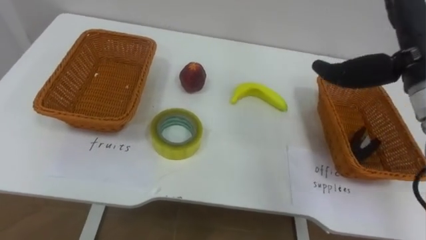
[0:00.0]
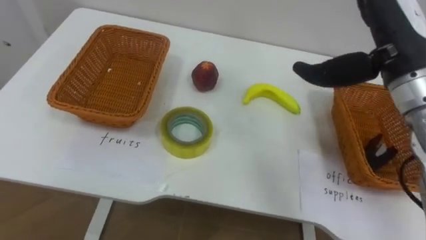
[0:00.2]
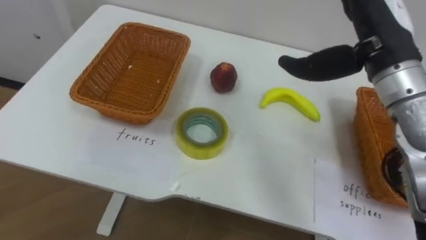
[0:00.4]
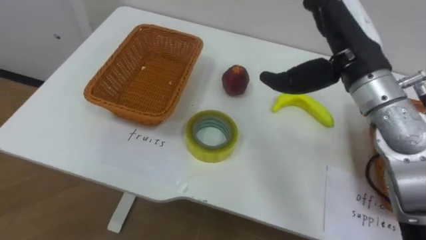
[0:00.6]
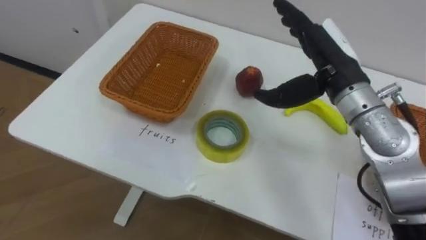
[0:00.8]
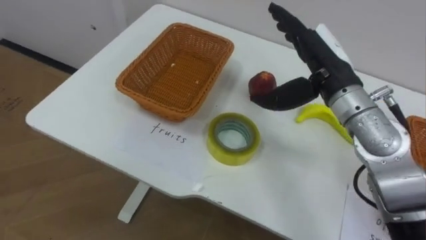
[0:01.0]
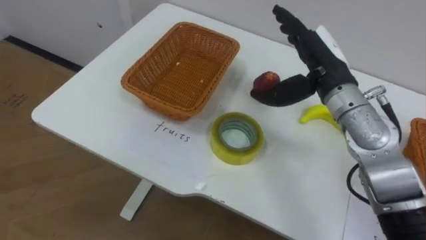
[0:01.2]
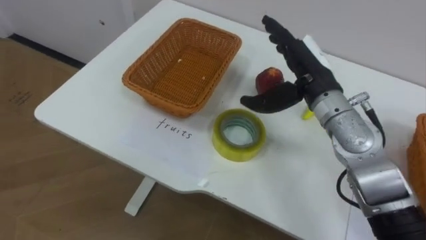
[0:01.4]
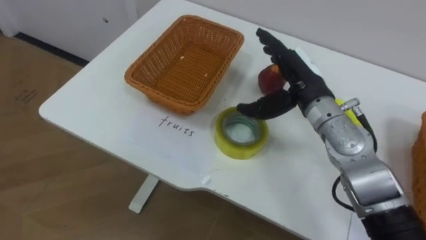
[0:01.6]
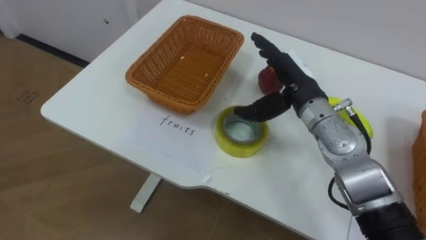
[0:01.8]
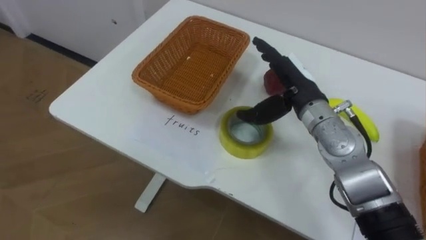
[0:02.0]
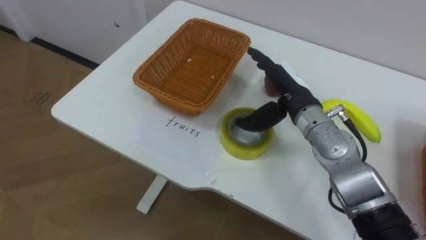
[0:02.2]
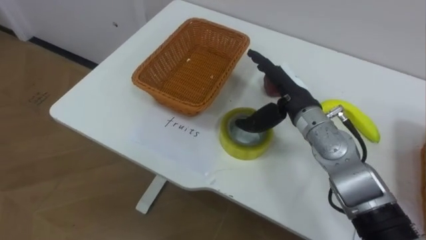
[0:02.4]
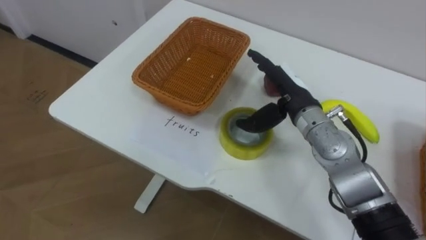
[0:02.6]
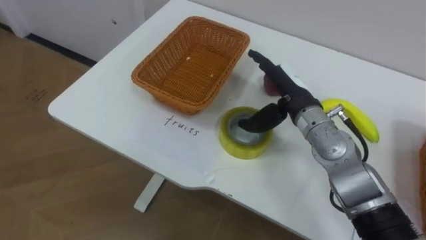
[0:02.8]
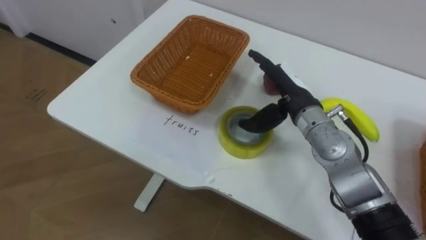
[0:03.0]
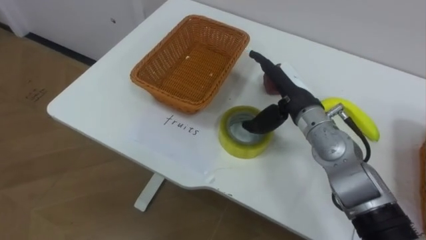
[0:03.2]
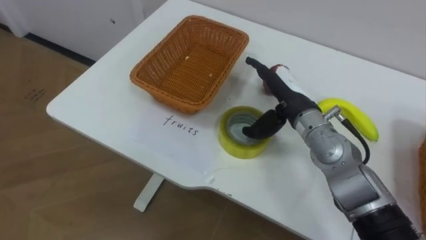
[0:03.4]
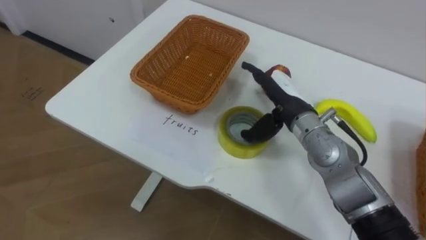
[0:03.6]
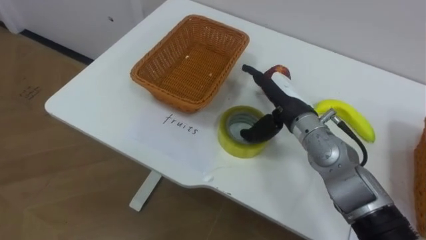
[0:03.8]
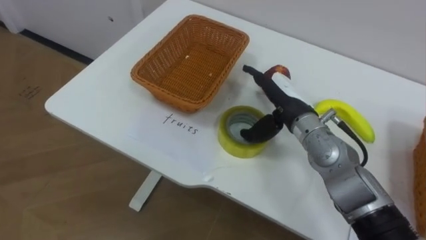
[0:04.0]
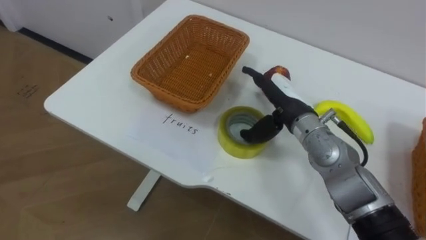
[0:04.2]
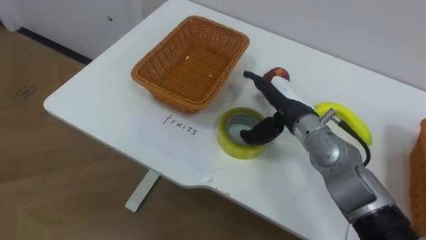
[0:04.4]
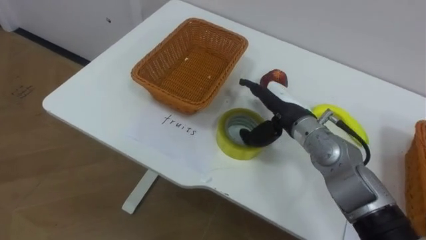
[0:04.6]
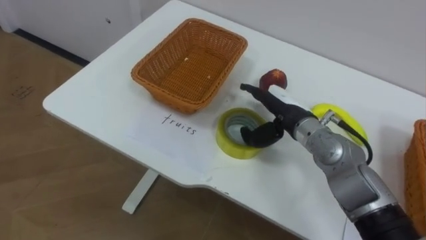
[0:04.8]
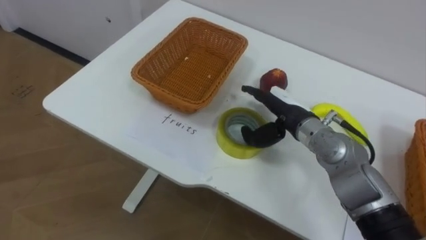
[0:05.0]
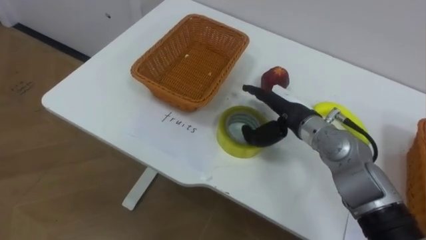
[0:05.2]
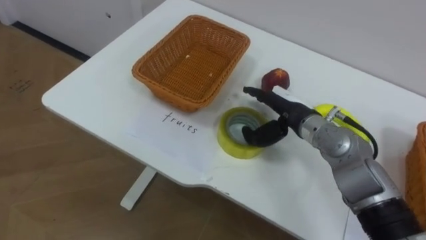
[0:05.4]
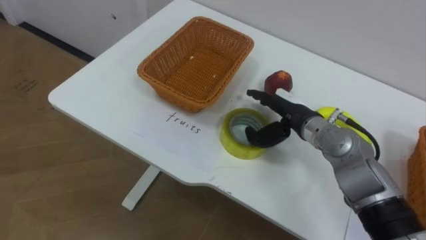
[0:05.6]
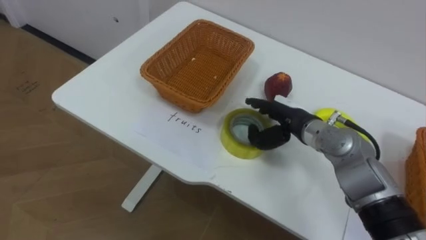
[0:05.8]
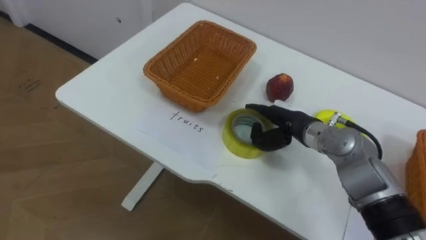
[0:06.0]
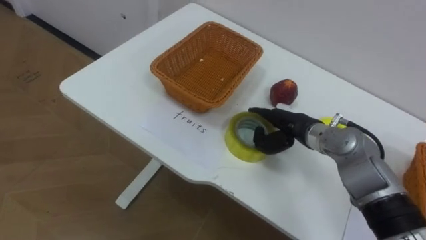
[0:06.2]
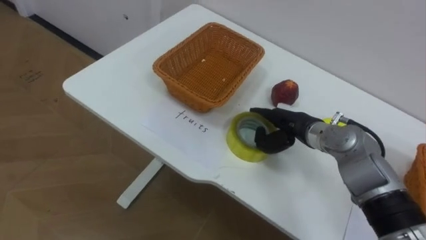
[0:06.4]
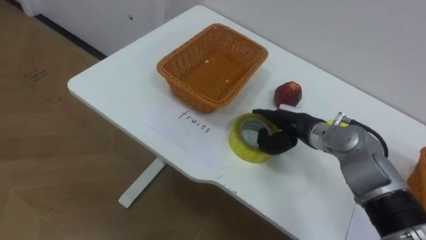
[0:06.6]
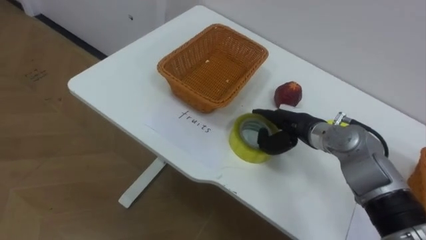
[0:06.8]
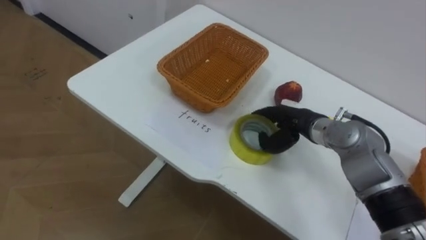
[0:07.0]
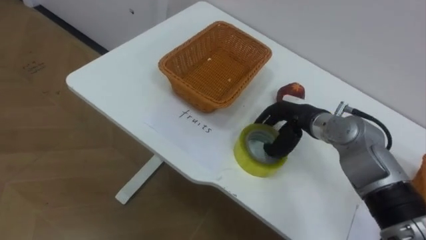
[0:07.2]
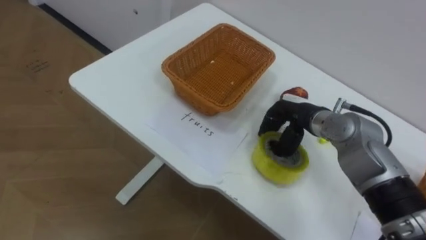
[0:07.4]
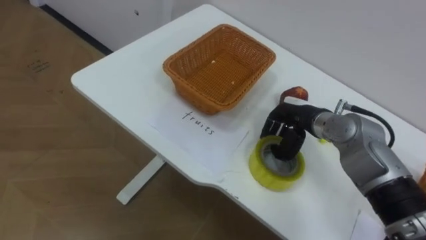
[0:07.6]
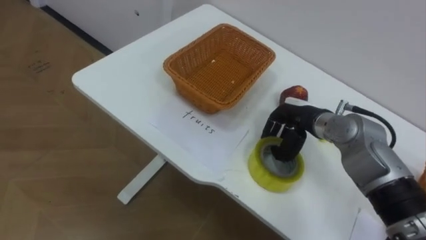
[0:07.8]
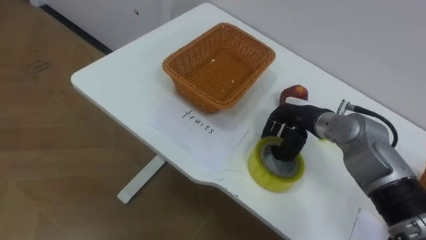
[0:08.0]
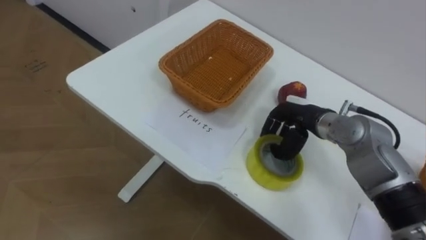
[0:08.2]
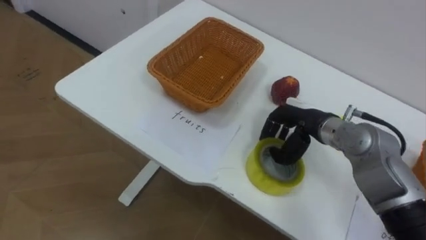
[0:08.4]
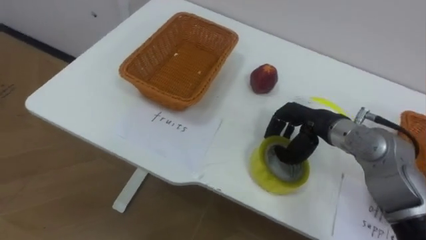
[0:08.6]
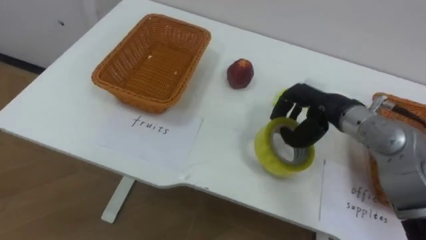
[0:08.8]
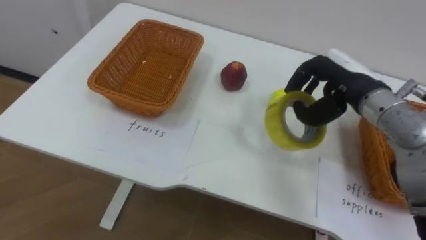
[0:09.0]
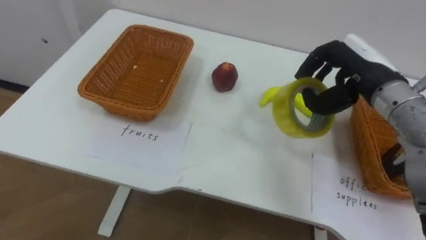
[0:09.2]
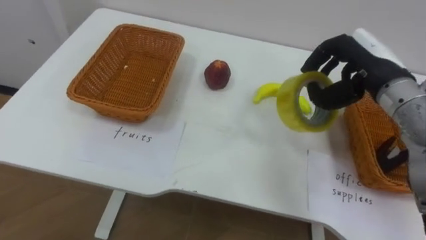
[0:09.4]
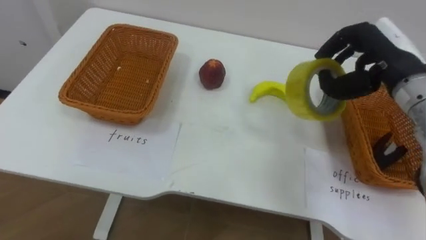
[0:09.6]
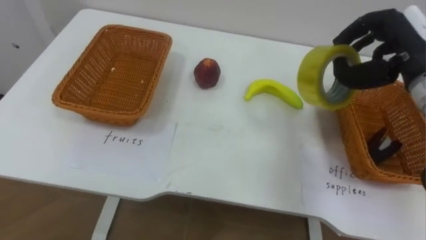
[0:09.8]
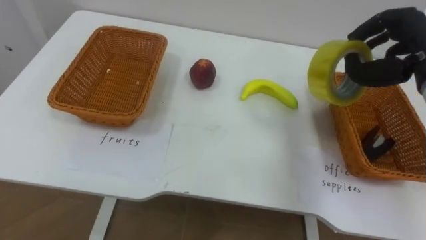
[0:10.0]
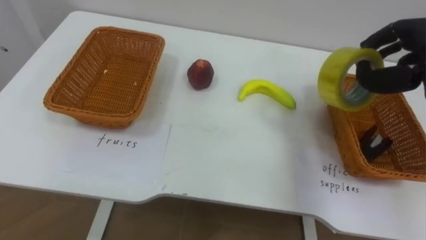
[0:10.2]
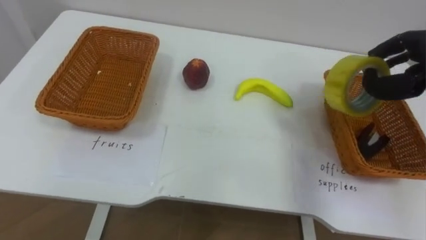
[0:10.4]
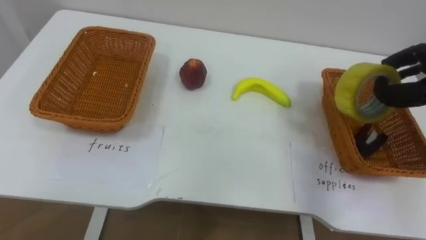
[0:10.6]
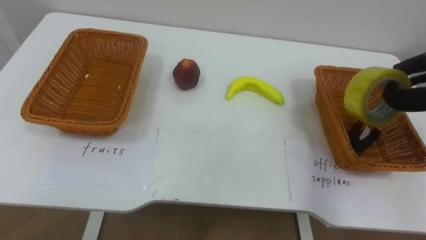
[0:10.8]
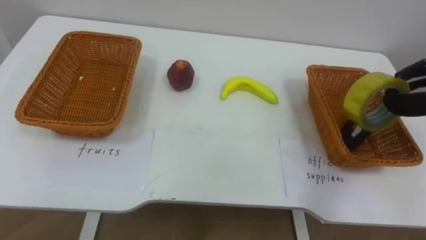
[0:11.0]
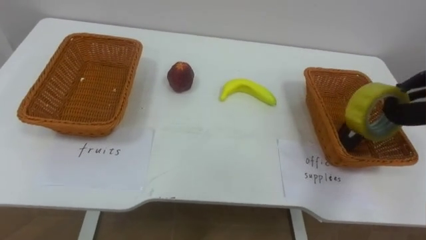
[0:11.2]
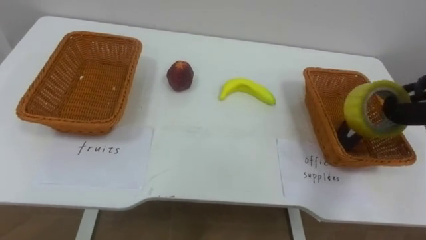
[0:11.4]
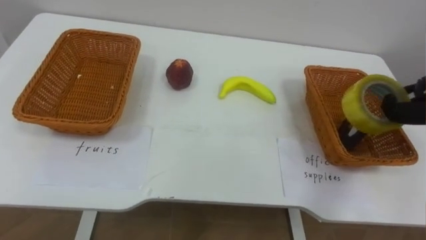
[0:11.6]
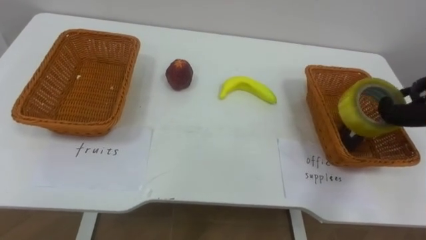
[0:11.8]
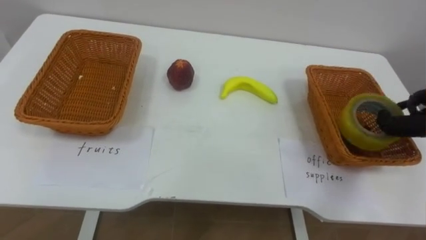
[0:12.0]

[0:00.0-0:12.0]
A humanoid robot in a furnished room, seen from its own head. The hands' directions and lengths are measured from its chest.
Task of the whole recording: Separate the items on the table and place them into the two baskets.
0:00.0 to 0:01.6: The right hand travels to the left and downward by some 15 cm.
0:04.4 to 0:06.0: The right hand shifts by some 5 cm.
0:06.0 to 0:07.6: The right hand closes up.
0:07.6 to 0:09.0: The right hand moves upward, about 10 cm.

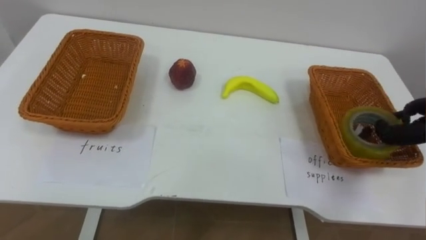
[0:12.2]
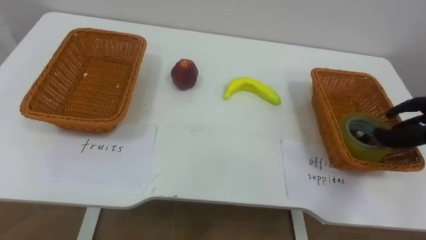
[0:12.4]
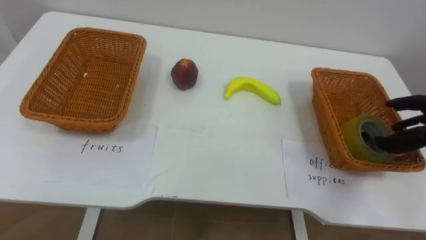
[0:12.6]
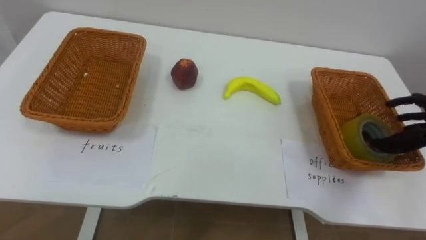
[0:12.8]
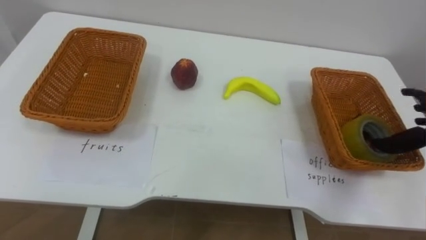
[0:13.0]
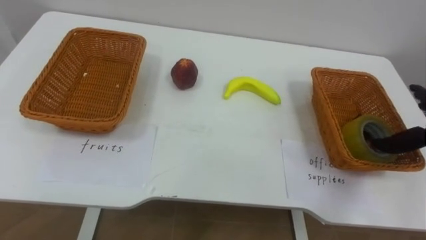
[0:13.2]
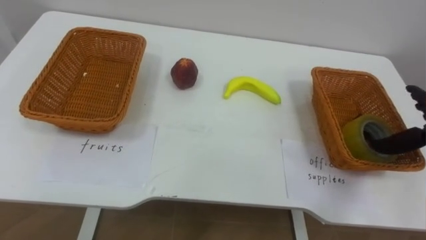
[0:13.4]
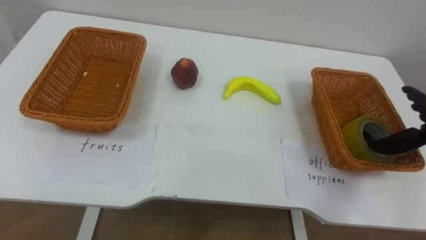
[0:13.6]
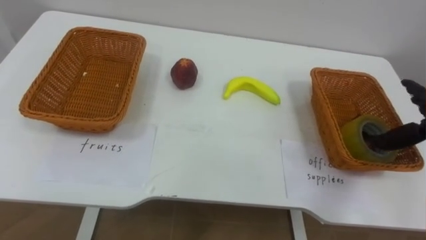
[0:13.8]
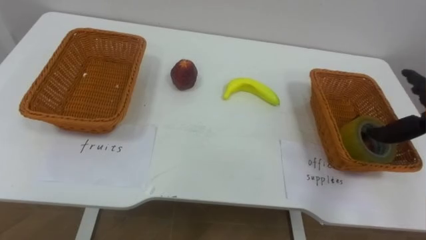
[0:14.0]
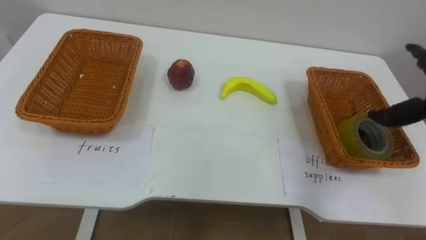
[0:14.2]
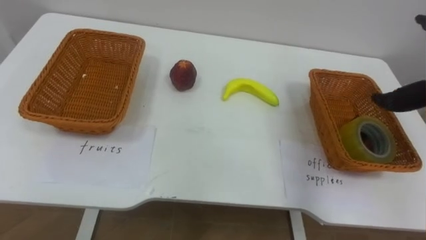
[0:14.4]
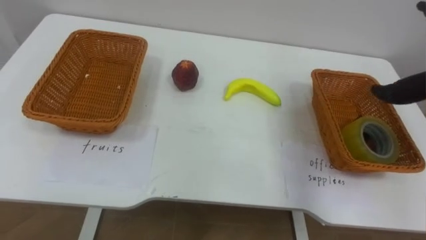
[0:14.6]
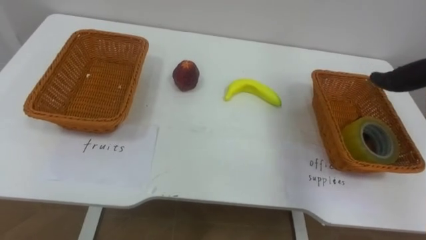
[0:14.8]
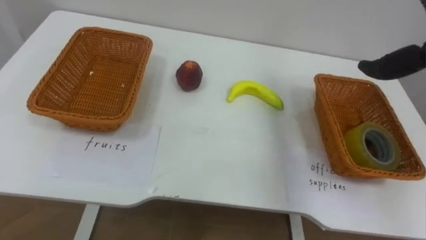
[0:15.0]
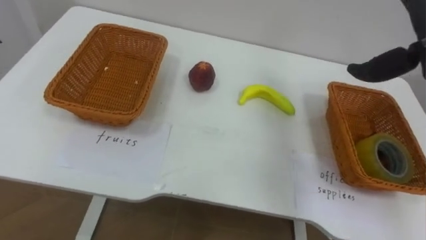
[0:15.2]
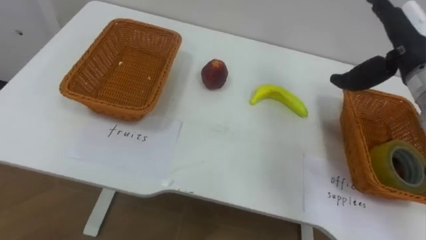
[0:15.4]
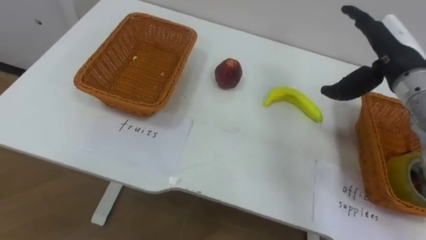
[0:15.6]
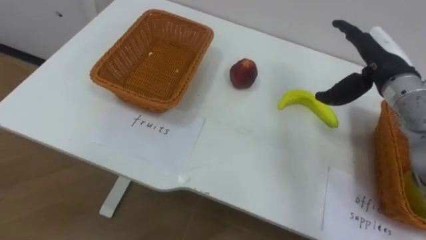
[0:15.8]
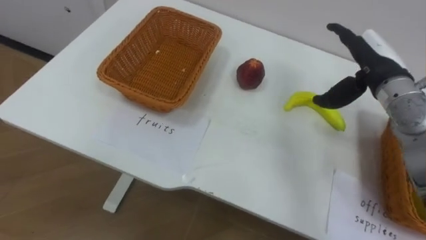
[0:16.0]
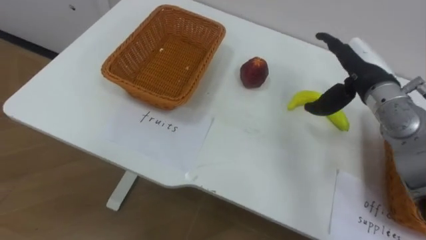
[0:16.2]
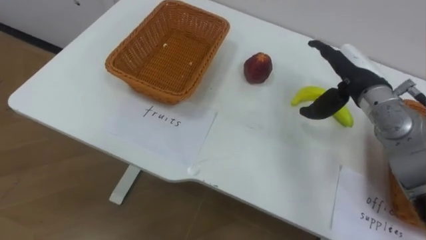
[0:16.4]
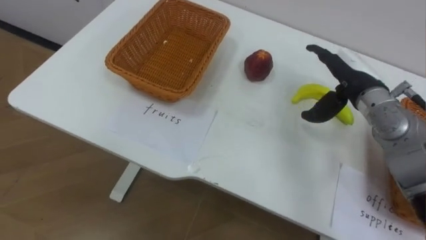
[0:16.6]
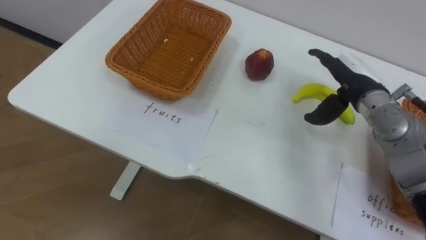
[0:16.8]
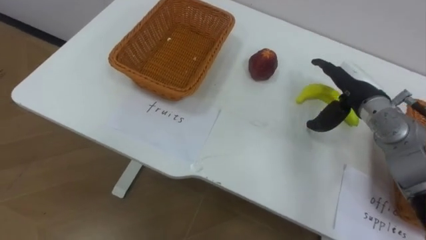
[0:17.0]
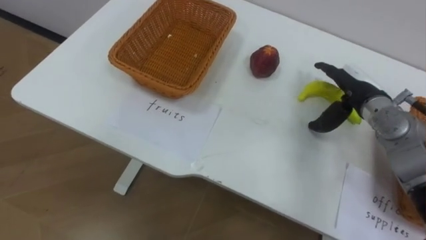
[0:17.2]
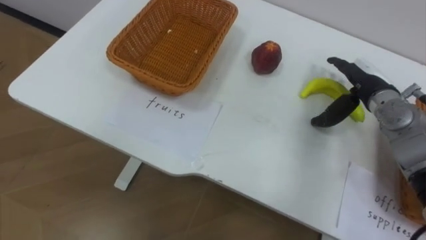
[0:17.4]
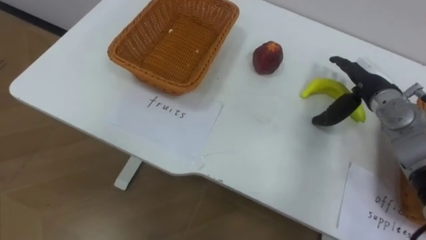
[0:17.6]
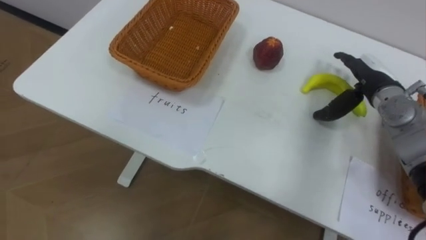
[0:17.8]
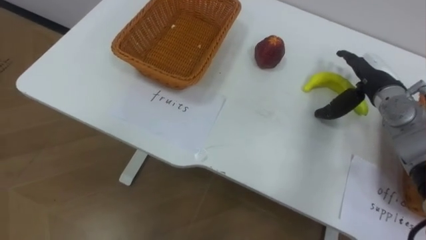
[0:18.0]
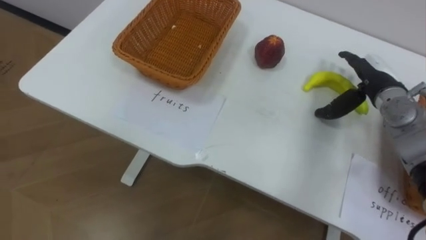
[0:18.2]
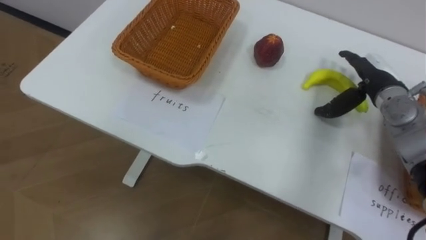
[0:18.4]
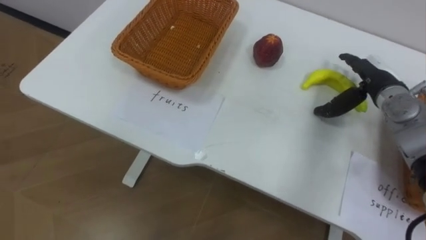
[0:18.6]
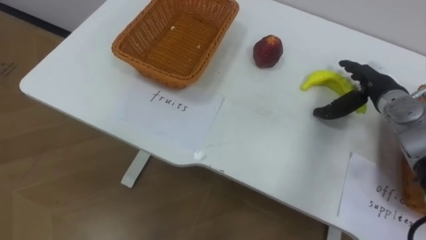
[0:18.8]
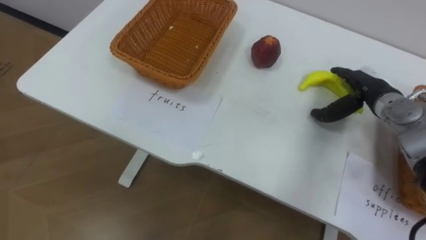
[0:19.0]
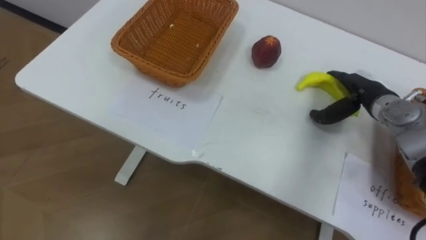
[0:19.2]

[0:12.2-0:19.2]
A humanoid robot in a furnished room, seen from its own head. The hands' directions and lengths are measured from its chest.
Task of the whole recording: Separate the items on the table and place them into the two baskets.
0:16.4 to 0:17.8: The right hand shifts by roughly 5 cm.
